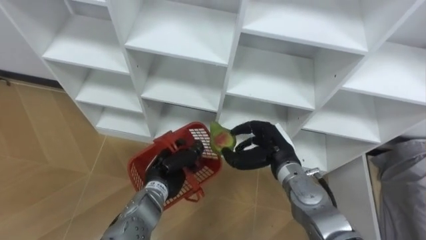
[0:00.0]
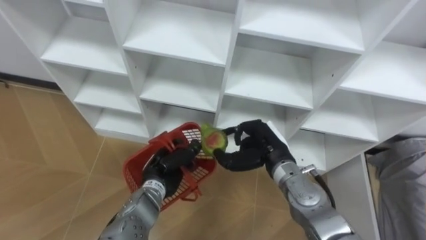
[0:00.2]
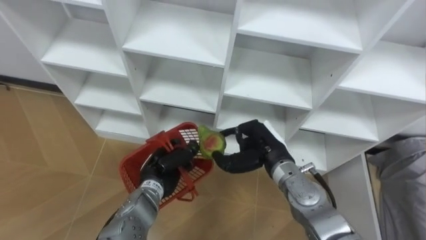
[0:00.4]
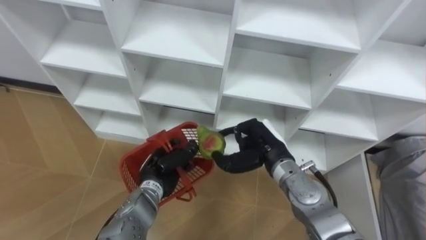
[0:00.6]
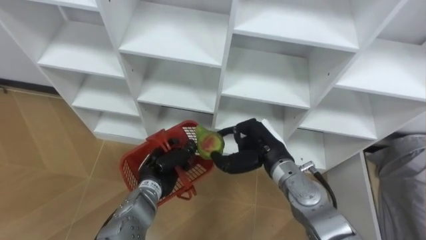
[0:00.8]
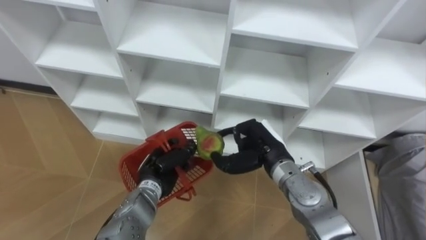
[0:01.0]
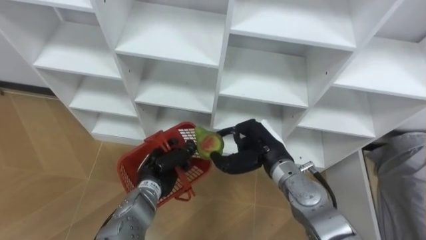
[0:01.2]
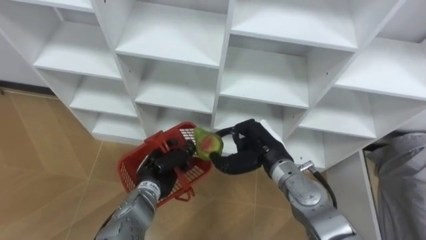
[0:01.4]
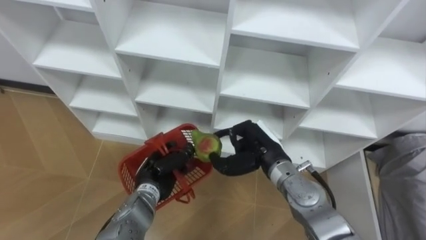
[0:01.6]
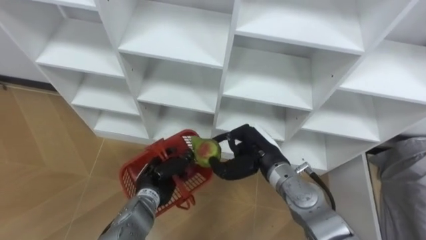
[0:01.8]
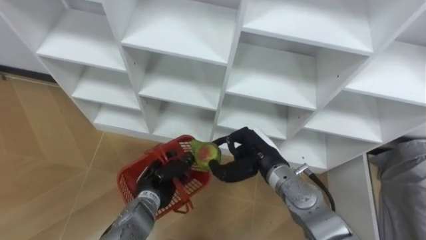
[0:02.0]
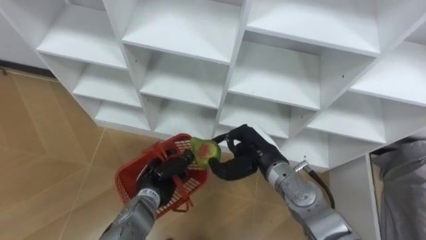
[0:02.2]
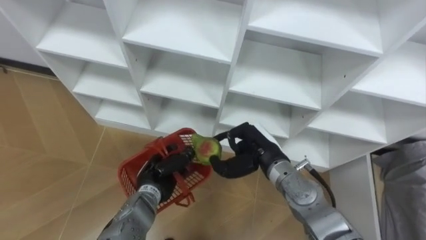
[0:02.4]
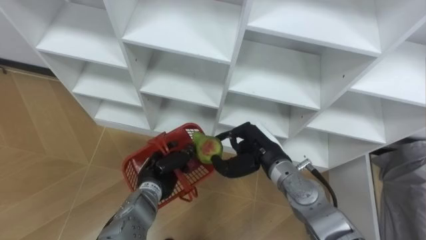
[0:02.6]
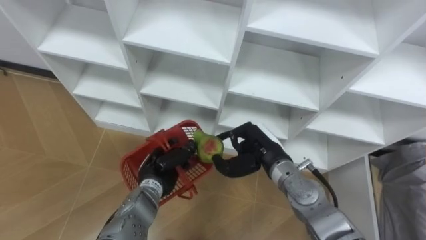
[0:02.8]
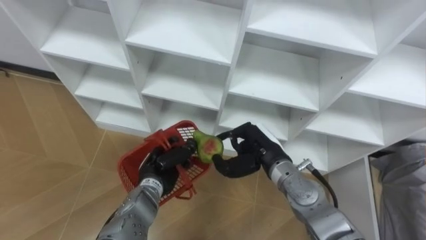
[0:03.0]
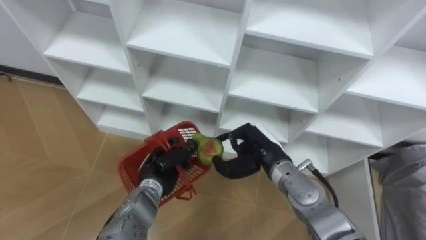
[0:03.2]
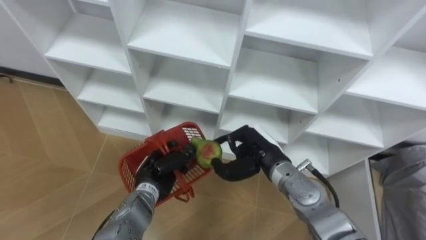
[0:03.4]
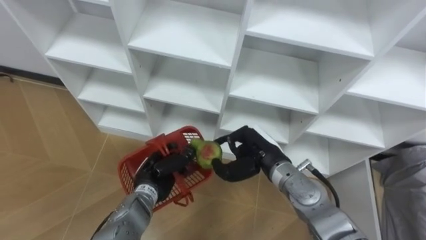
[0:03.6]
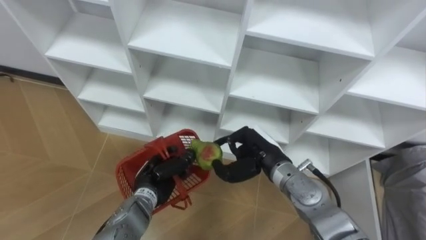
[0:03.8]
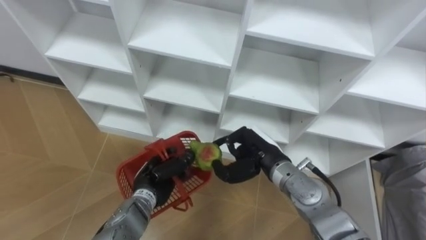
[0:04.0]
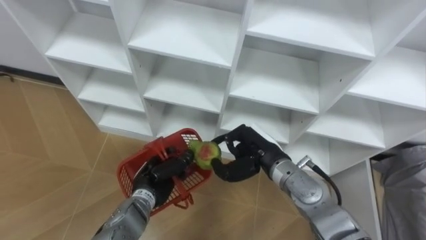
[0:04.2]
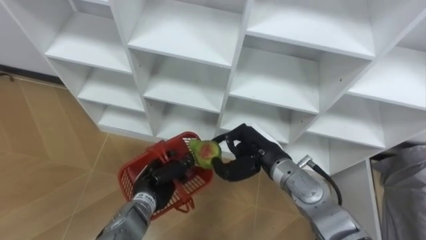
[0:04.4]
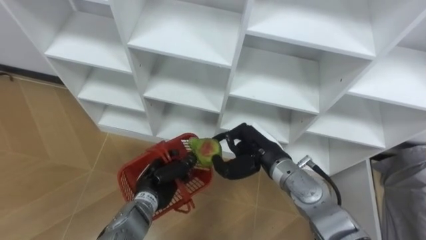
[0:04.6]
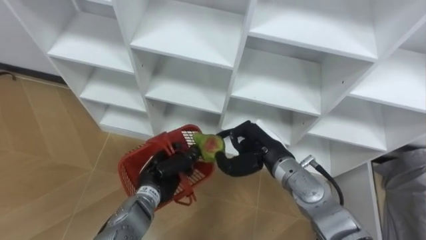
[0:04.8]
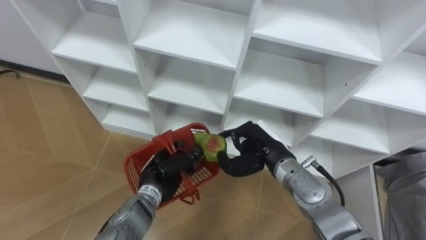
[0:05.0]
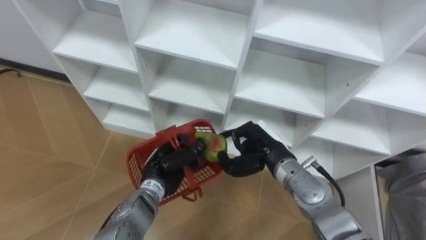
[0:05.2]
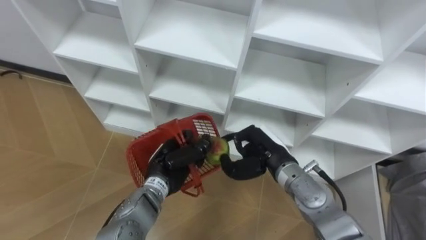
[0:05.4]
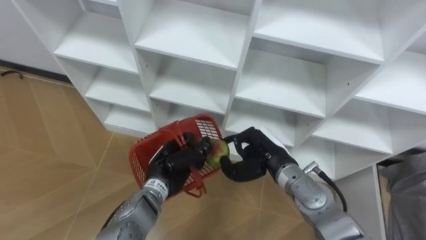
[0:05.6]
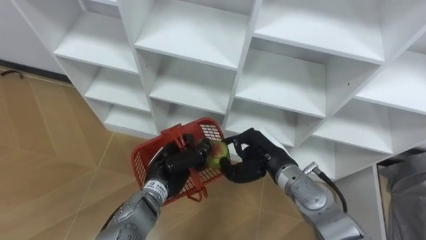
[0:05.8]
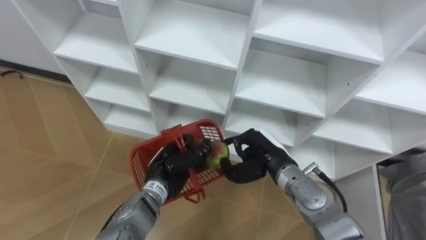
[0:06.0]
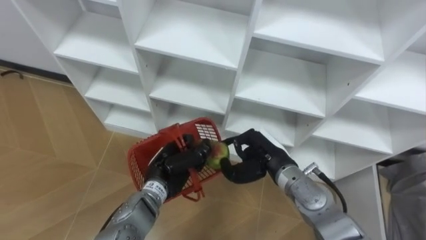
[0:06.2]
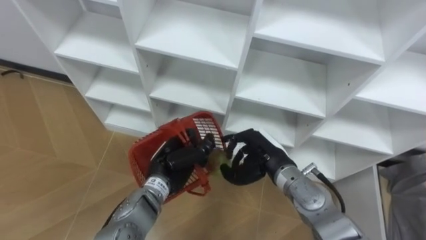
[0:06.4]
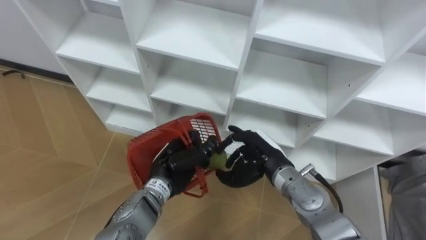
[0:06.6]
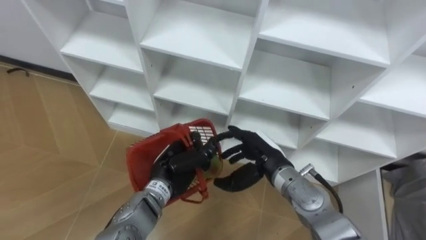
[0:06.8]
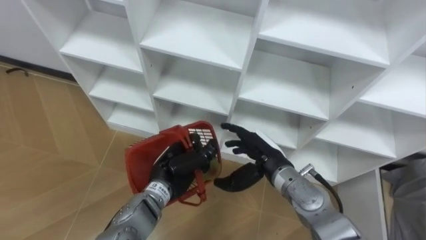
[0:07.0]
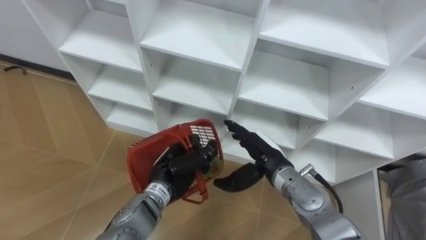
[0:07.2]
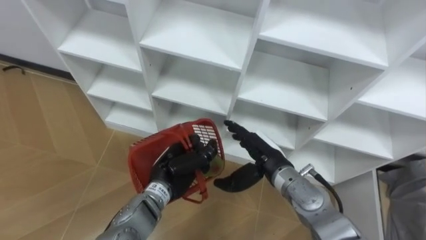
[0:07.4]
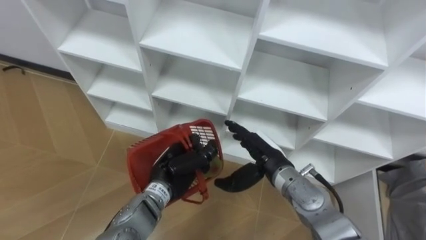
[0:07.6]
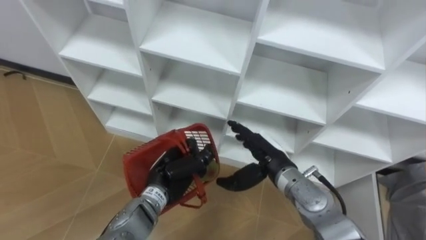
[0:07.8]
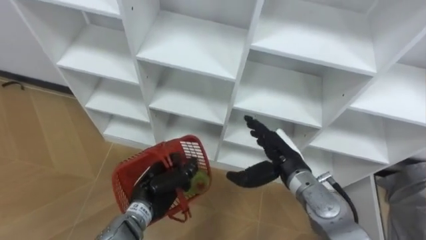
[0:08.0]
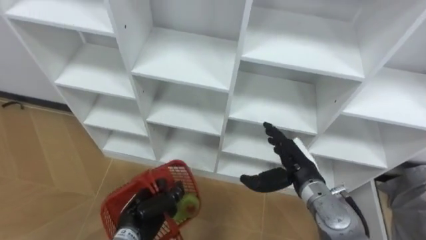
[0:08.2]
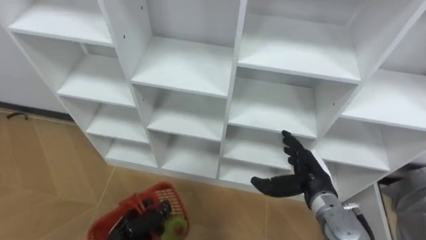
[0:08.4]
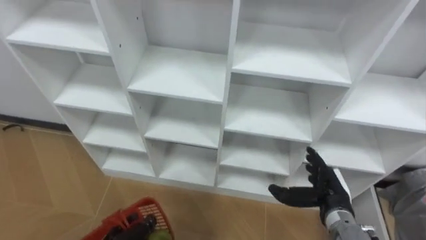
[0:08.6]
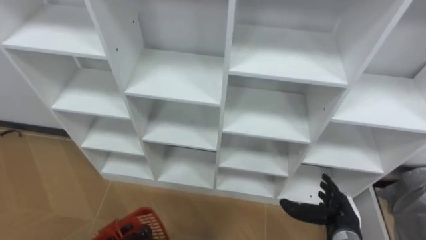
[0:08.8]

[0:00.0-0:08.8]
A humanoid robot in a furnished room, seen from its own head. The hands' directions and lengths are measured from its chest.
Task of the whole recording: Hold the basket and collect the fruits from 3 different cells of the closet into it.
0:03.0 to 0:04.4: The hands make only small movements.
0:04.4 to 0:05.8: The left hand ends up roughly 5 cm from where it was.
0:05.8 to 0:07.4: The right hand opens its fingers.
0:07.4 to 0:08.8: The right hand is displaced to the right, backward and downward by some 20 cm.

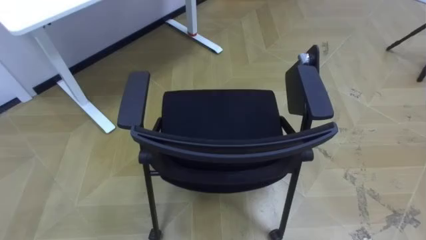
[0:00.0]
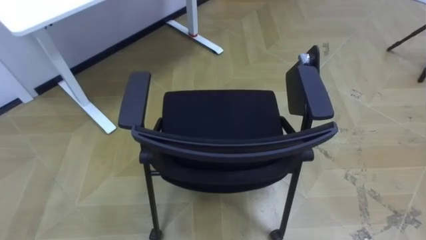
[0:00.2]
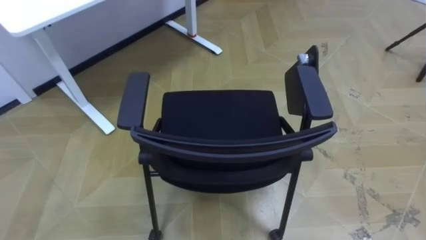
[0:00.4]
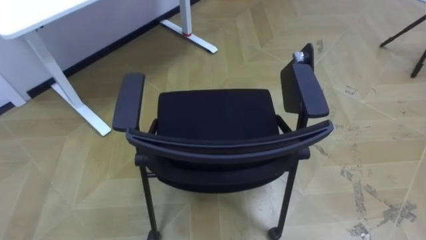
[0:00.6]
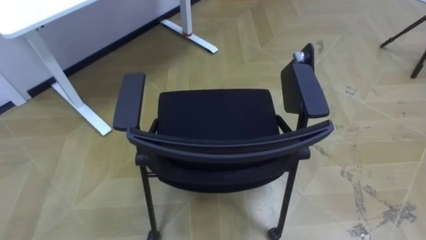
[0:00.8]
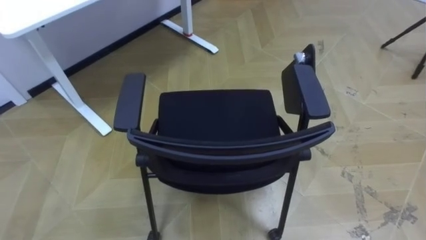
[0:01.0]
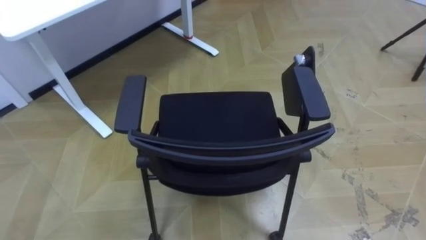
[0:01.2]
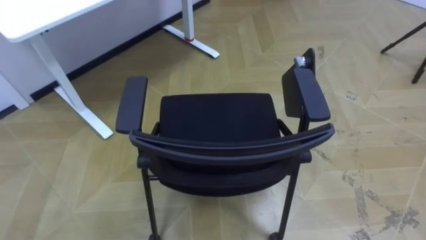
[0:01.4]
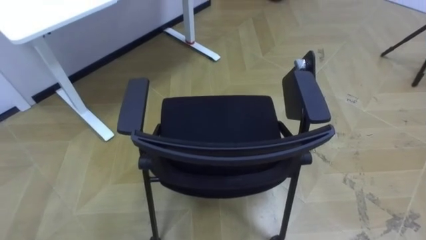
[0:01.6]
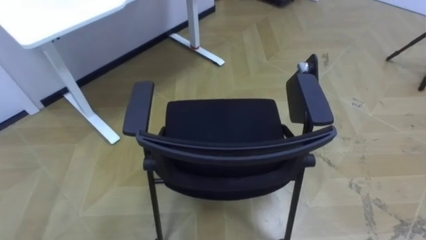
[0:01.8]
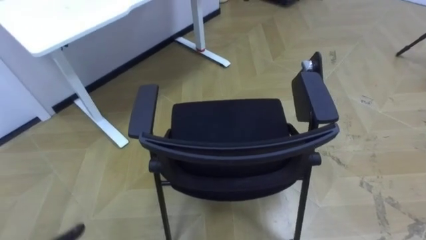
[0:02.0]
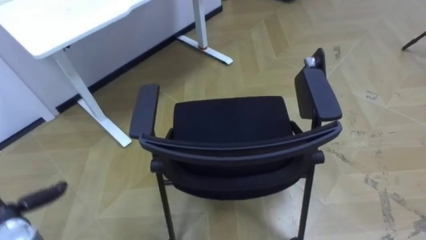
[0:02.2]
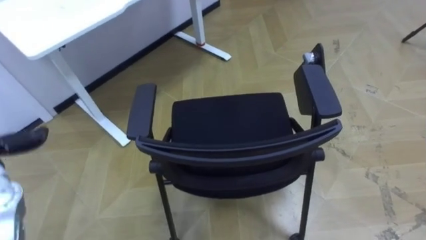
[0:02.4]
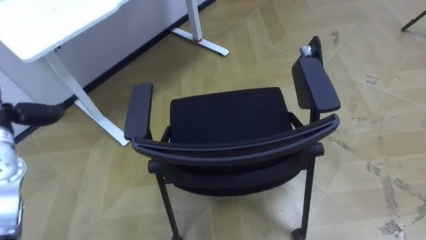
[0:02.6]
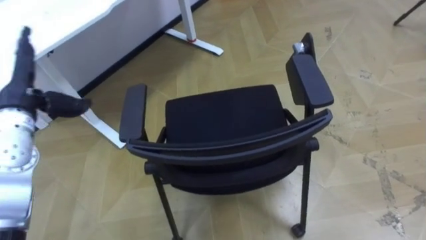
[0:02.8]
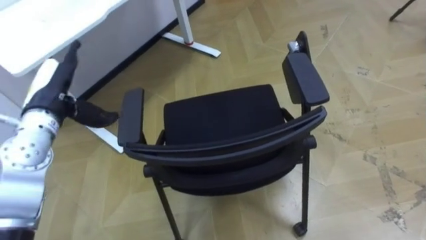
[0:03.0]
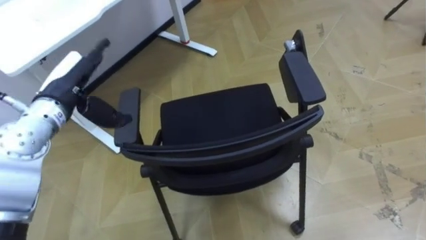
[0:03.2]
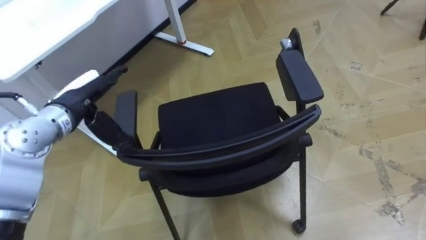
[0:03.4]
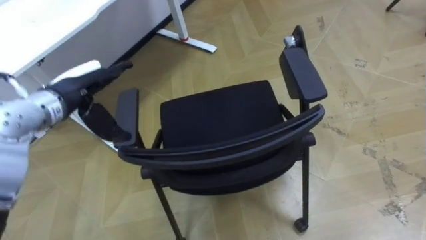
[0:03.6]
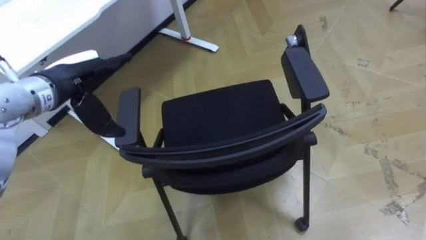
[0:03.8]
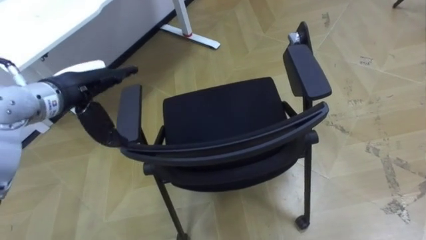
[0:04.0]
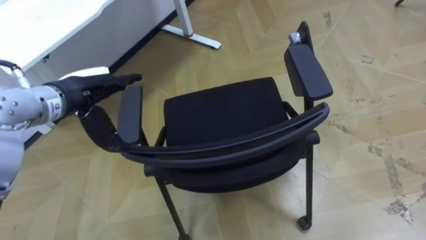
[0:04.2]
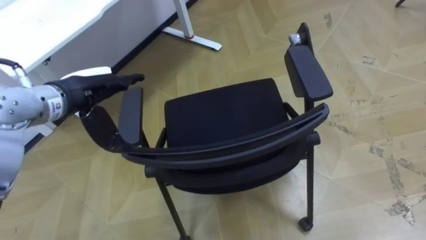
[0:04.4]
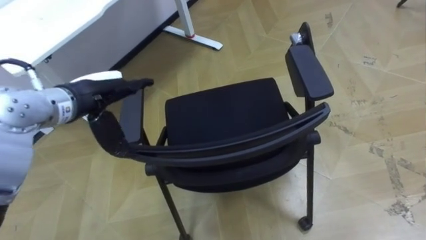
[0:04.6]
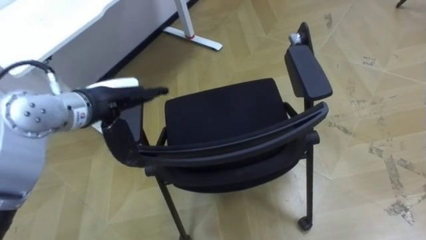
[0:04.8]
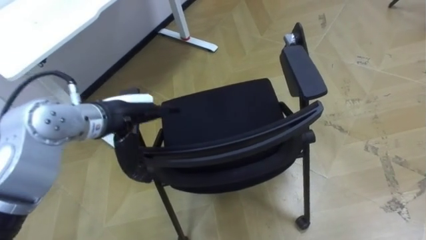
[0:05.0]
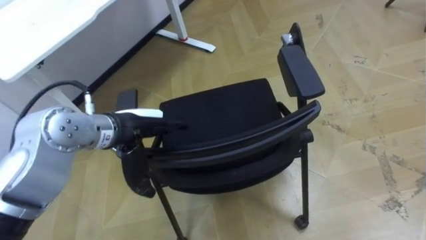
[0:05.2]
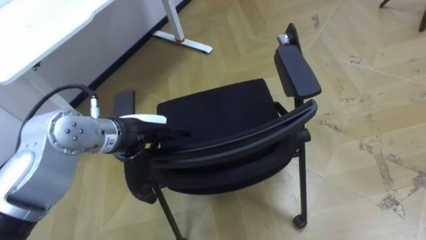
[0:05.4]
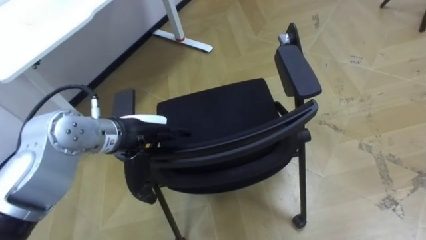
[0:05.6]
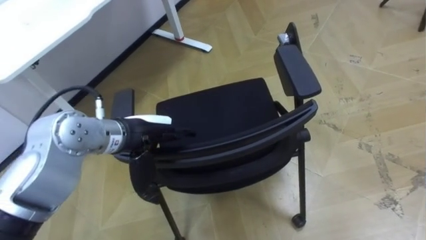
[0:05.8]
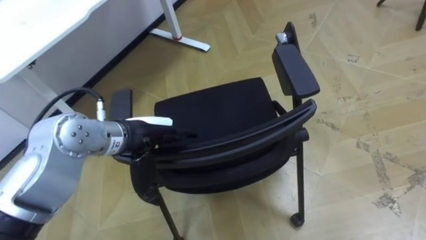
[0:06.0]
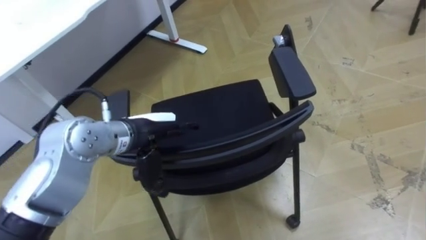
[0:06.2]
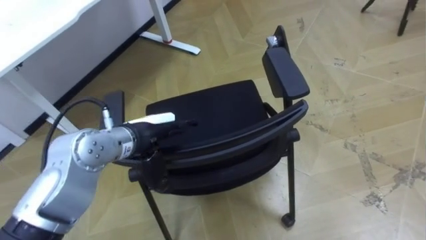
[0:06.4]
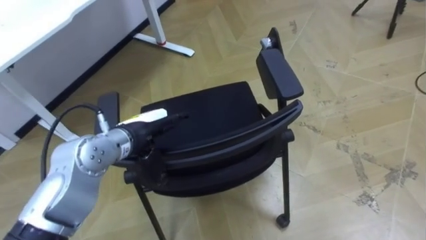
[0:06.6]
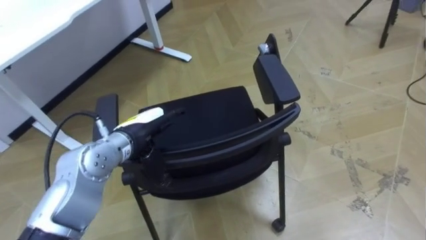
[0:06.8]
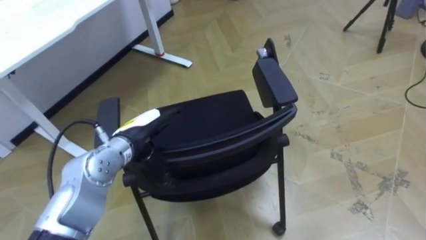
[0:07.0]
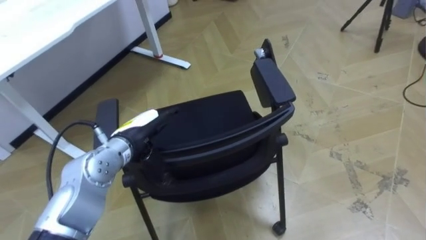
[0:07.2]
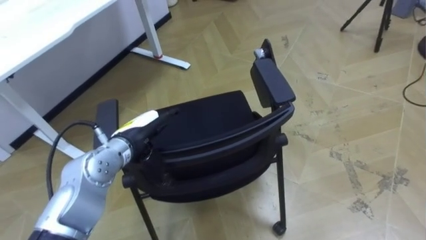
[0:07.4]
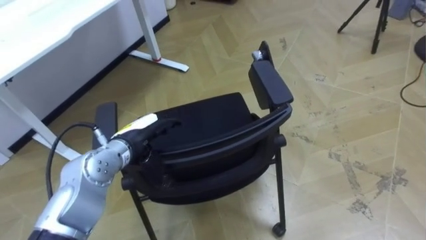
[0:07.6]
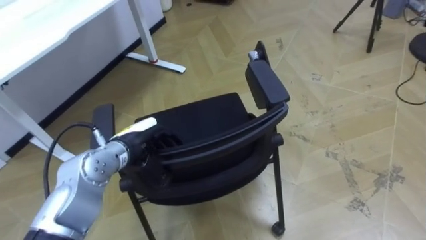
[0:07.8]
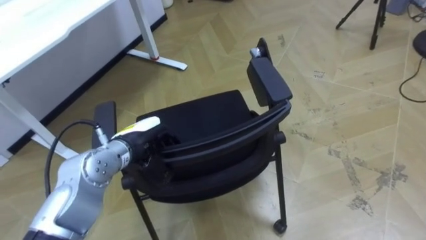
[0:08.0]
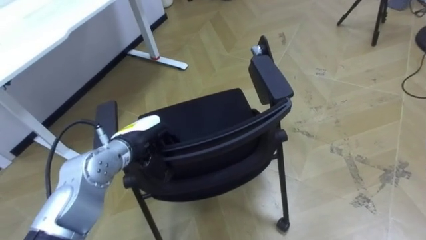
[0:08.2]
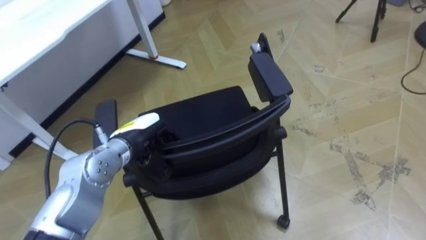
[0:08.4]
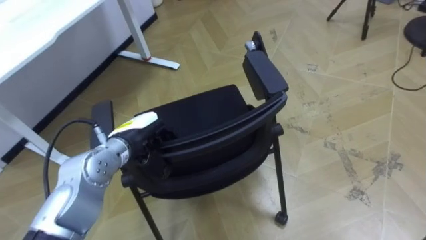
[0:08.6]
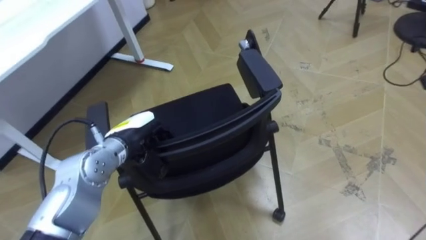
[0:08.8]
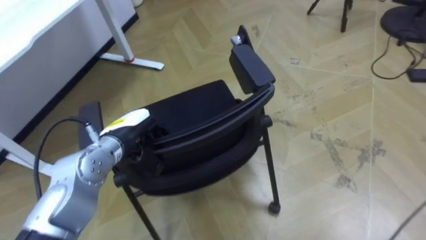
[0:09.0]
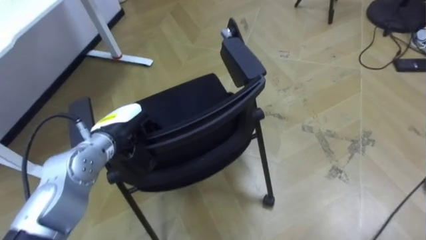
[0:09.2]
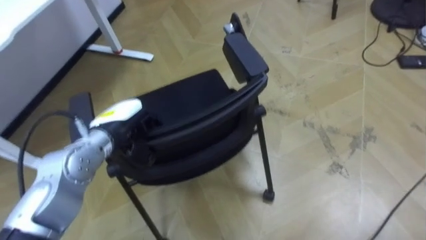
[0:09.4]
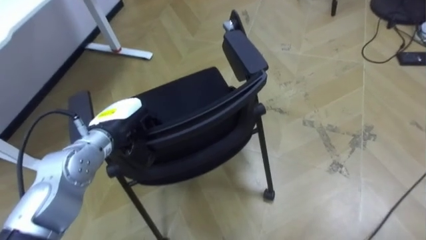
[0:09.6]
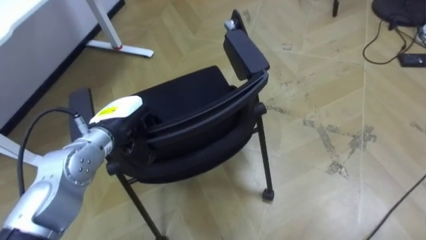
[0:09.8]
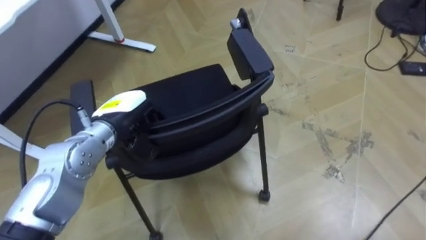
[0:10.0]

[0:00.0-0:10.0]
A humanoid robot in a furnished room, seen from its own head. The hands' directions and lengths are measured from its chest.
Task of the whole recording: Push the chair under the table.
0:02.8 to 0:04.2: The left hand goes roughly 10 cm to the right.
0:04.2 to 0:05.8: The left hand is displaced to the right and downward by roughly 10 cm.
0:05.8 to 0:07.2: The left hand travels downward by some 5 cm.
0:07.2 to 0:08.6: The left hand closes its fingers.
